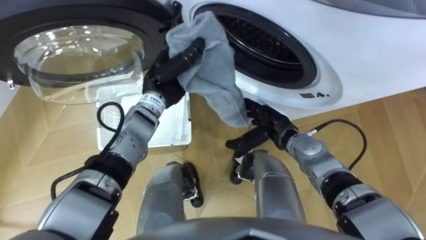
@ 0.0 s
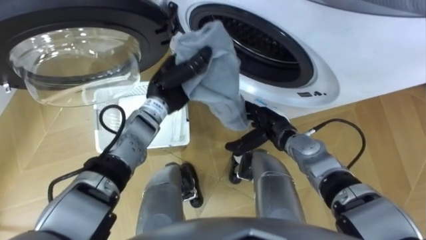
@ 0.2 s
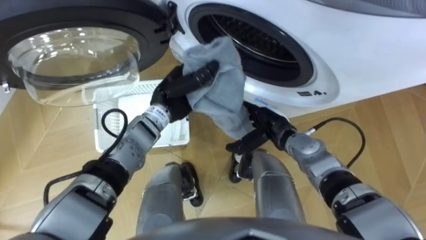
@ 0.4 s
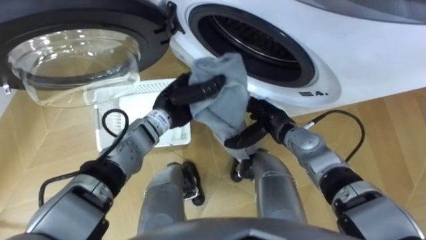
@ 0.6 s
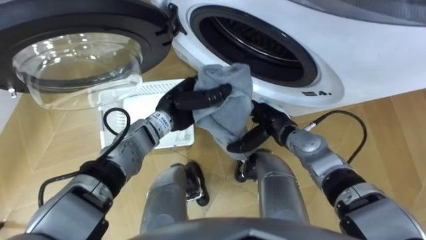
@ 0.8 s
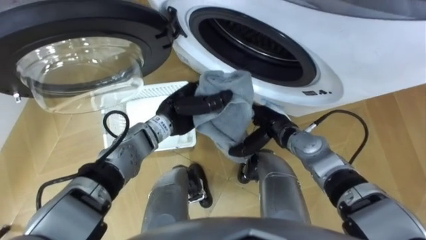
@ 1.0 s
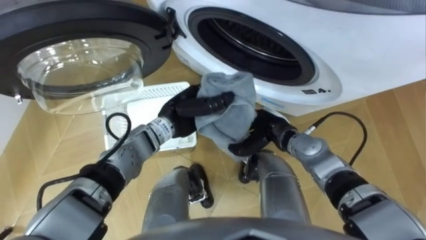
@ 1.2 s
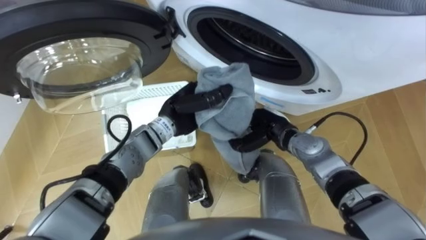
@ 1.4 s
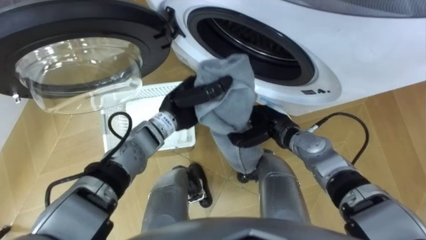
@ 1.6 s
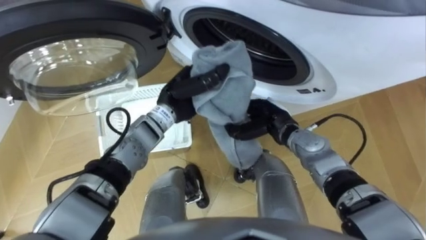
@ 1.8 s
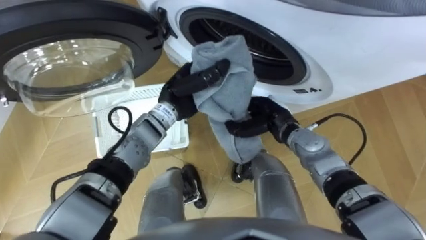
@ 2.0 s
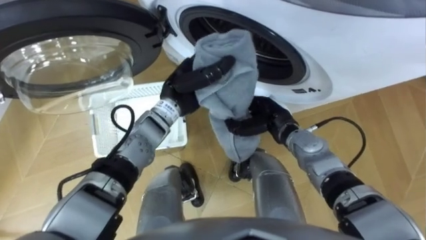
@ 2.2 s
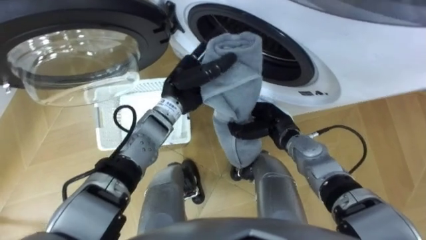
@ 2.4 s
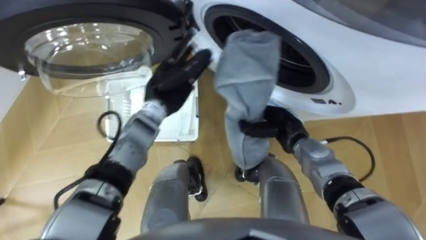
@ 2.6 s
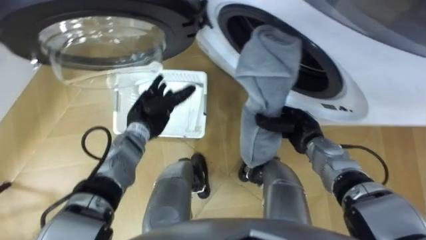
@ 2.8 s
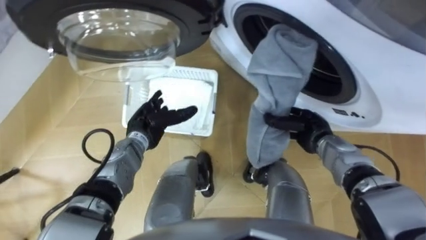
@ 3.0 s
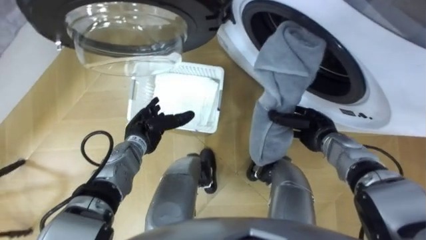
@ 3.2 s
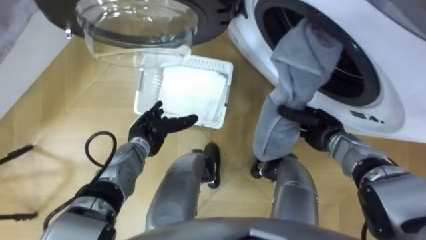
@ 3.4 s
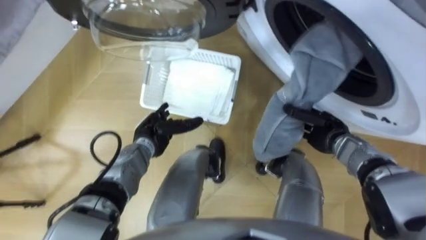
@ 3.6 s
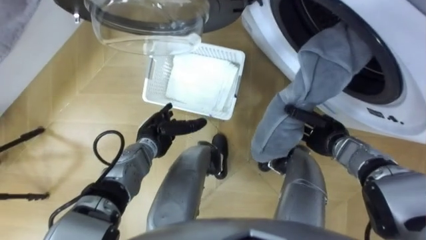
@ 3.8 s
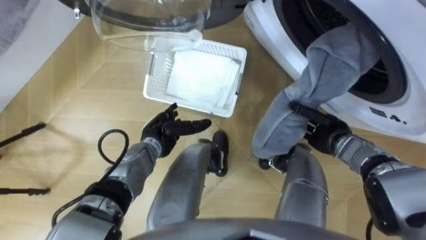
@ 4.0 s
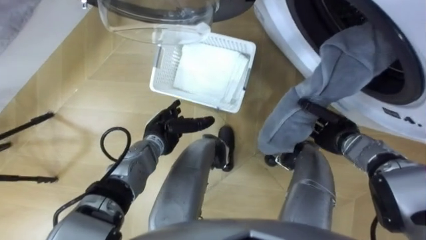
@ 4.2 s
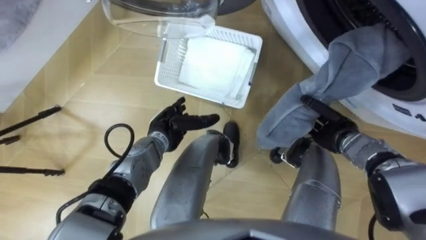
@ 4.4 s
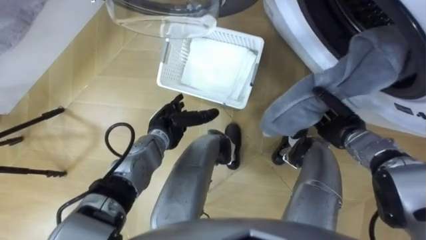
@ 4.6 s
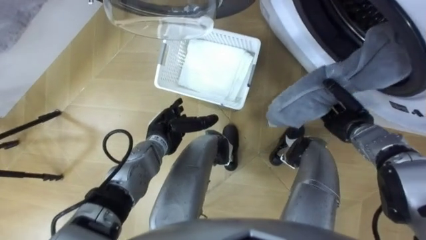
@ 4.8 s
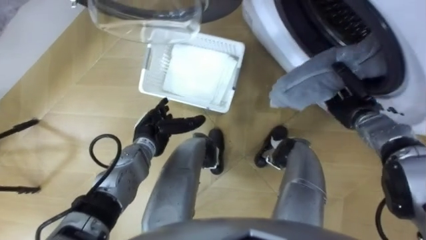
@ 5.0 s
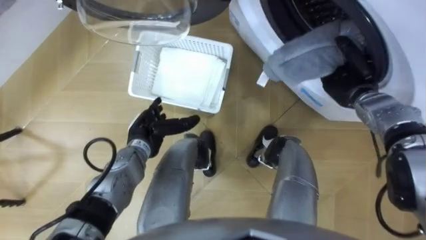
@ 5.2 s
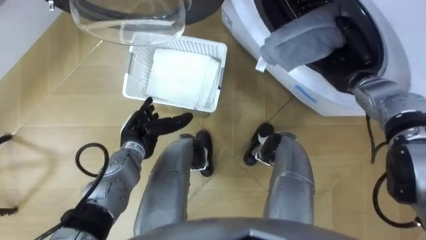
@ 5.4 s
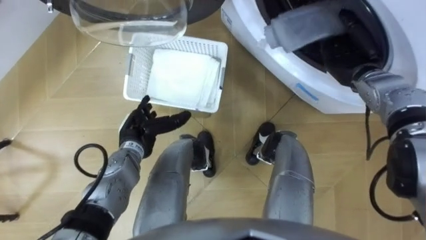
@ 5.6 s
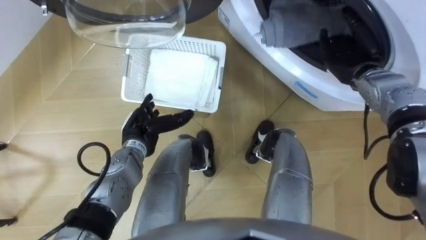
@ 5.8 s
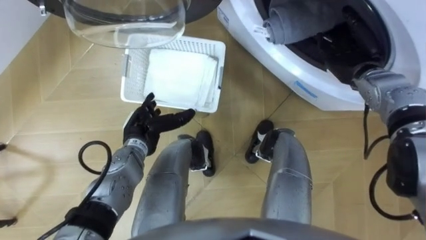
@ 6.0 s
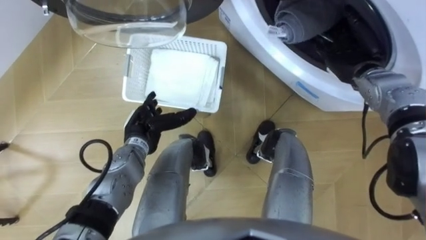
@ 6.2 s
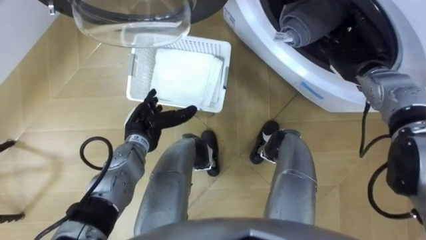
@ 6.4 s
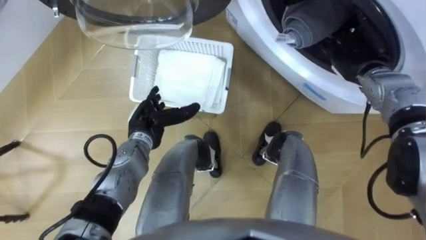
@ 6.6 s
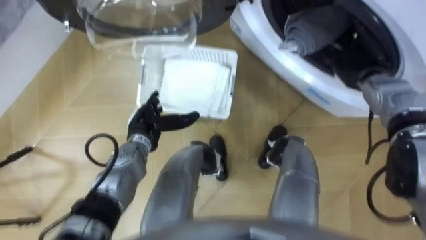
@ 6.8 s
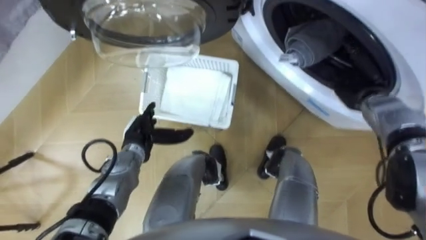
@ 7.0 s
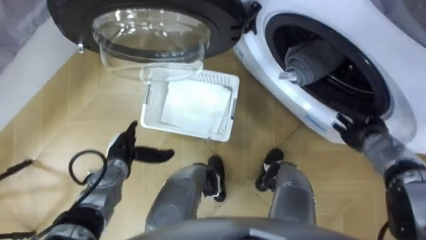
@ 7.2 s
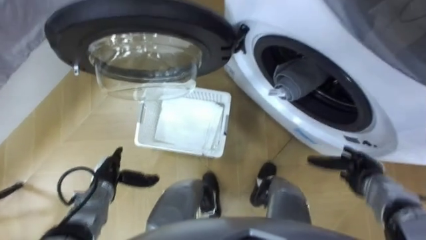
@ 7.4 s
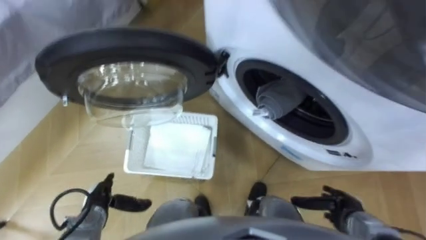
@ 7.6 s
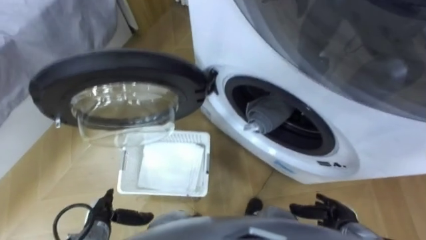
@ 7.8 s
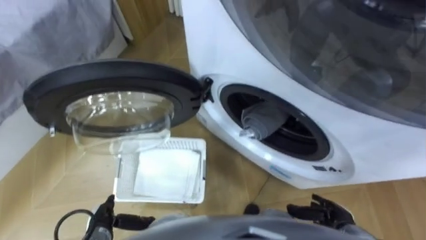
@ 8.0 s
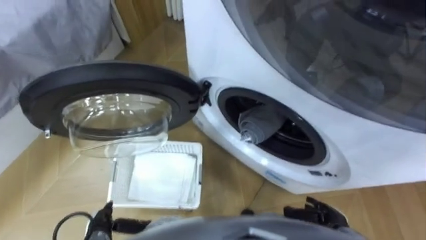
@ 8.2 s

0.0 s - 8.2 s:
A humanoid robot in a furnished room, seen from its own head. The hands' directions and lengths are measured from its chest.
Task of the whole recording: Take the towel from the basket and put it into the washing machine.
0.0 s - 1.6 s: The left hand moves approximately 5 cm. The right hand closes.
1.6 s - 3.2 s: The left hand shifts approximately 15 cm to the left and downward, and opens its fingers, while the right hand goes some 10 cm to the right.
3.2 s - 5.0 s: The right hand moves to the right, some 10 cm.
5.0 s - 6.6 s: The right hand moves upward and forward, some 10 cm, and opens up.
6.6 s - 8.2 s: The left hand goes roughly 25 cm backward, downward and to the left, while the right hand is displaced backward and downward by some 35 cm.

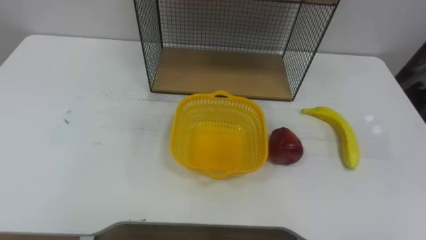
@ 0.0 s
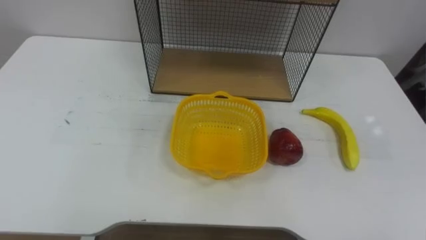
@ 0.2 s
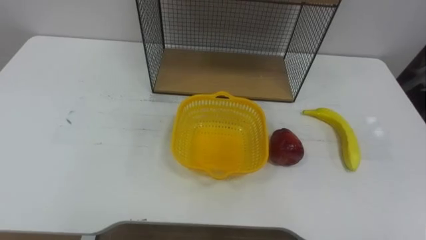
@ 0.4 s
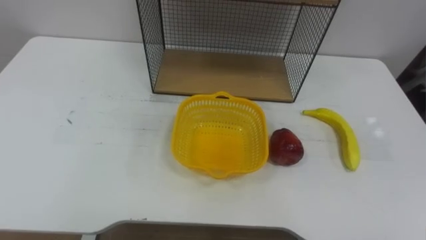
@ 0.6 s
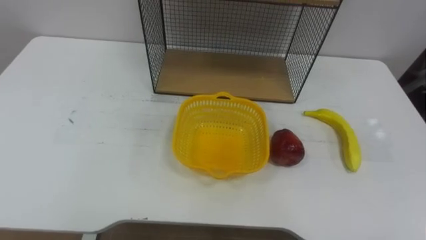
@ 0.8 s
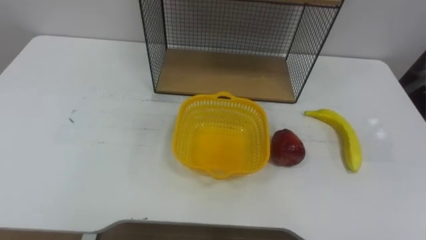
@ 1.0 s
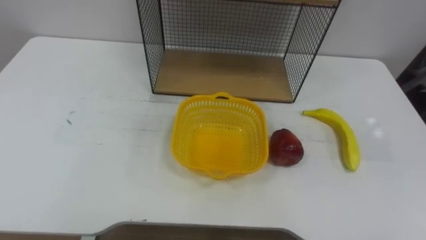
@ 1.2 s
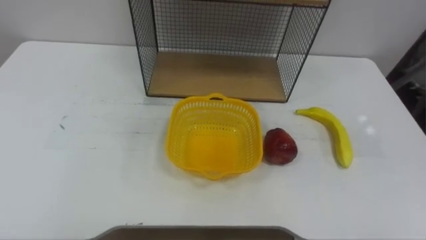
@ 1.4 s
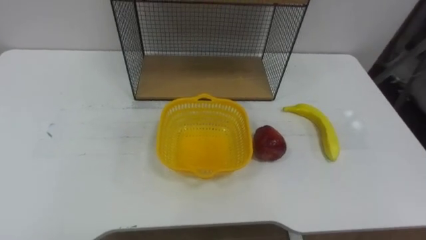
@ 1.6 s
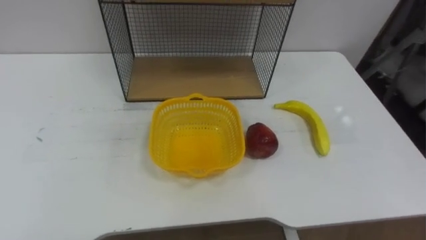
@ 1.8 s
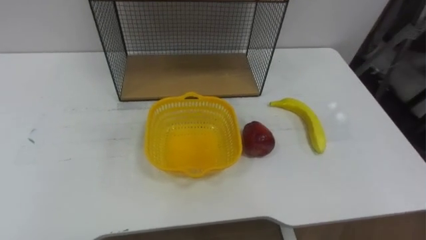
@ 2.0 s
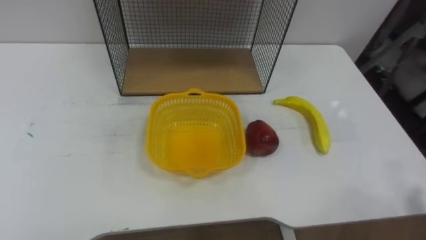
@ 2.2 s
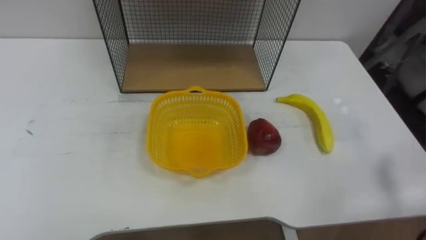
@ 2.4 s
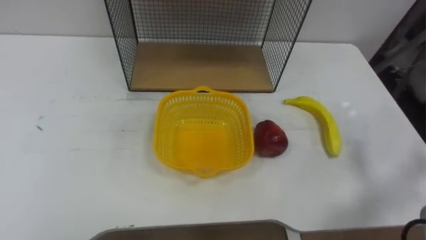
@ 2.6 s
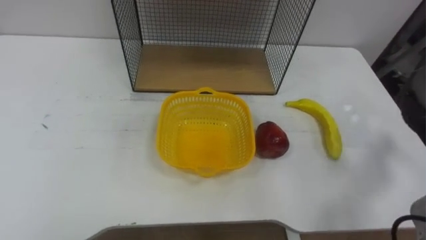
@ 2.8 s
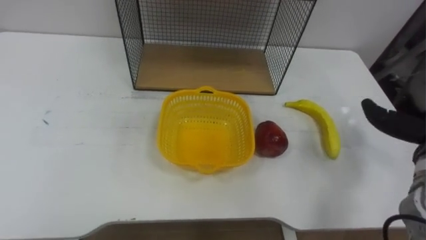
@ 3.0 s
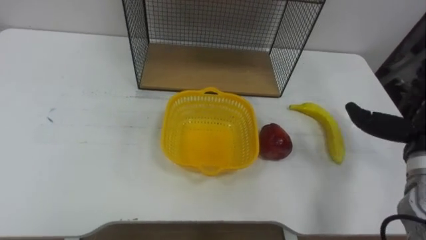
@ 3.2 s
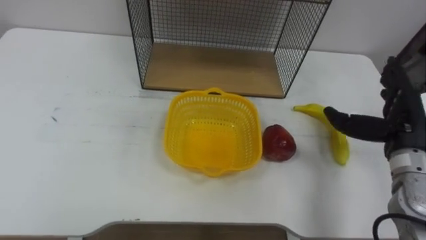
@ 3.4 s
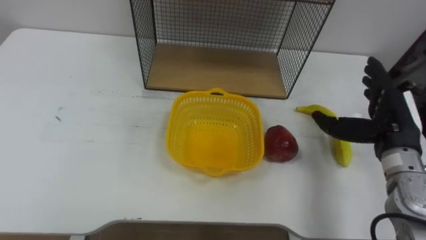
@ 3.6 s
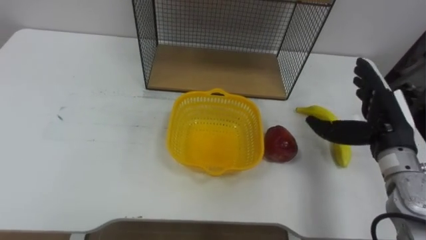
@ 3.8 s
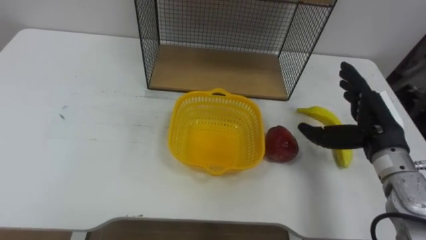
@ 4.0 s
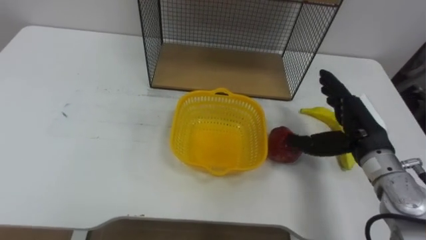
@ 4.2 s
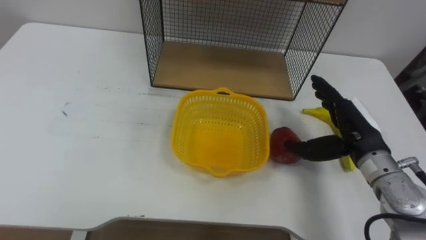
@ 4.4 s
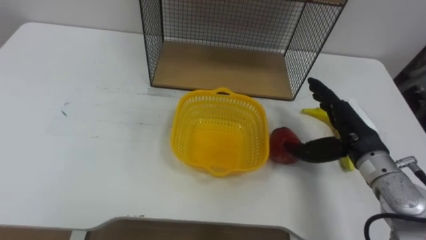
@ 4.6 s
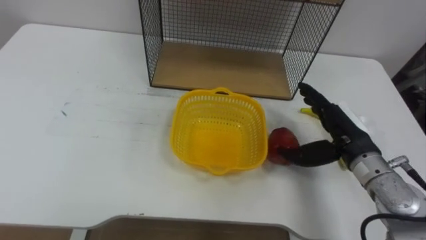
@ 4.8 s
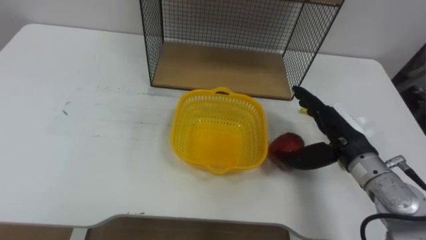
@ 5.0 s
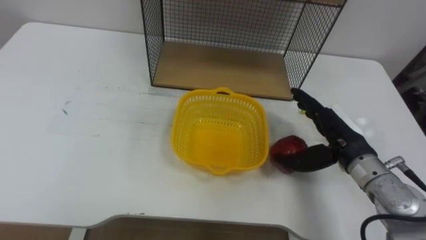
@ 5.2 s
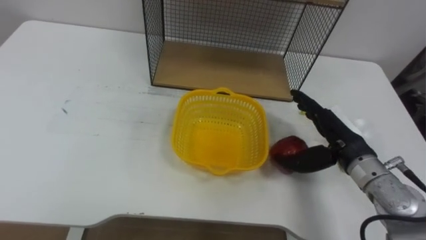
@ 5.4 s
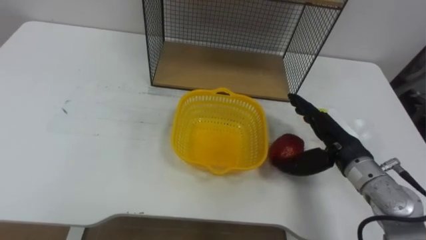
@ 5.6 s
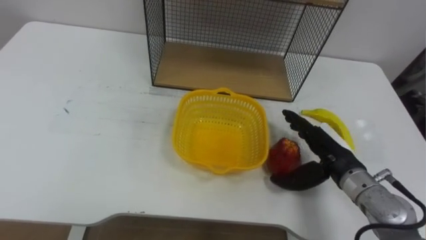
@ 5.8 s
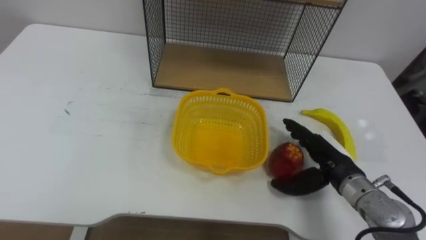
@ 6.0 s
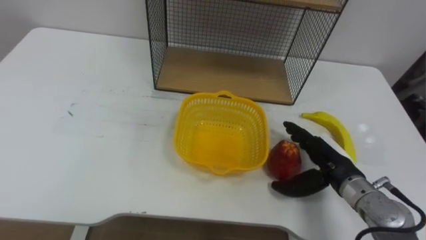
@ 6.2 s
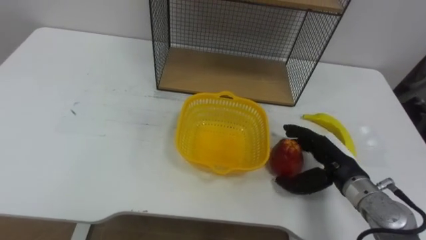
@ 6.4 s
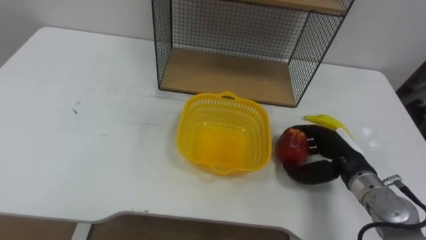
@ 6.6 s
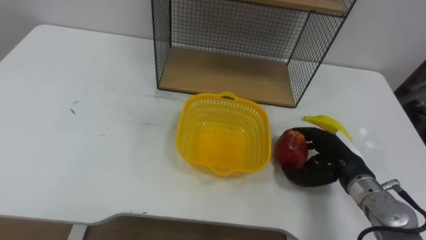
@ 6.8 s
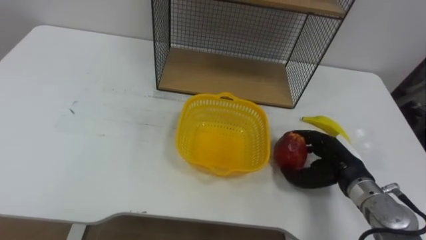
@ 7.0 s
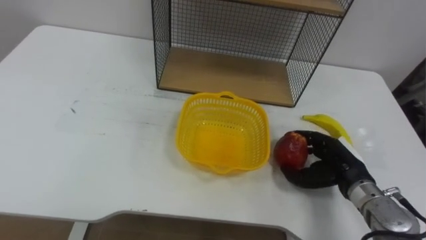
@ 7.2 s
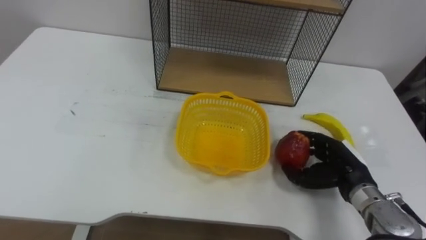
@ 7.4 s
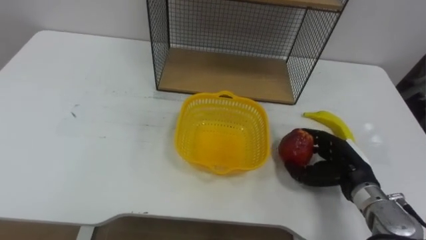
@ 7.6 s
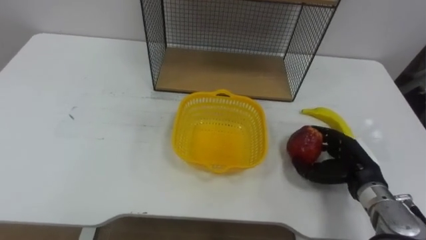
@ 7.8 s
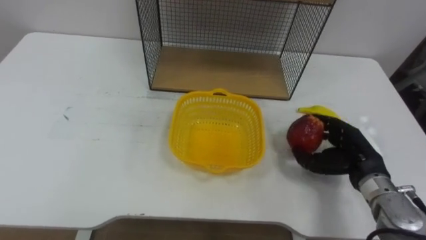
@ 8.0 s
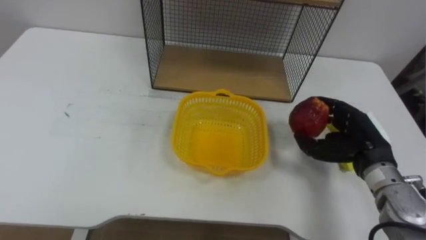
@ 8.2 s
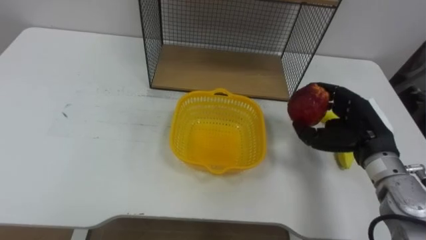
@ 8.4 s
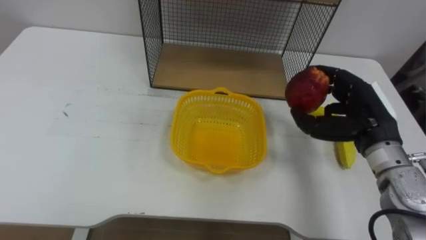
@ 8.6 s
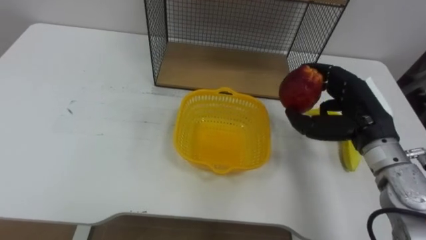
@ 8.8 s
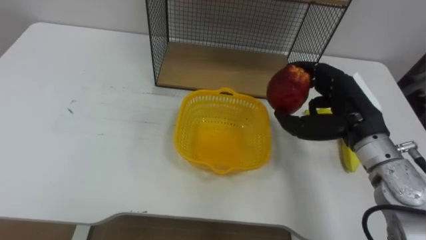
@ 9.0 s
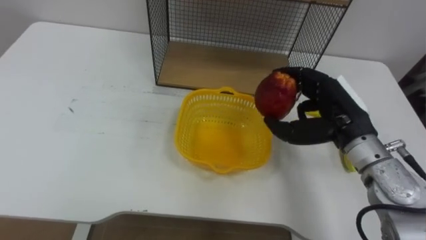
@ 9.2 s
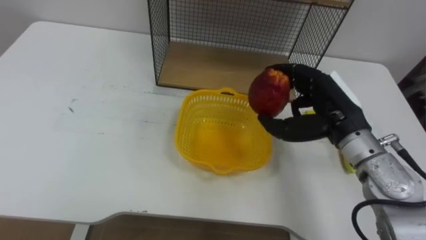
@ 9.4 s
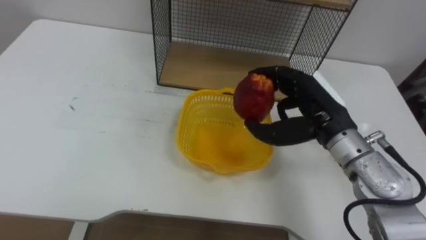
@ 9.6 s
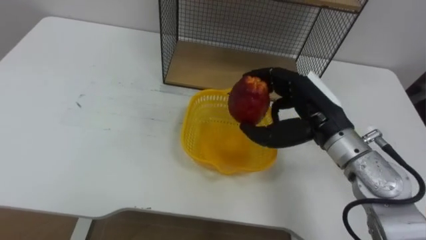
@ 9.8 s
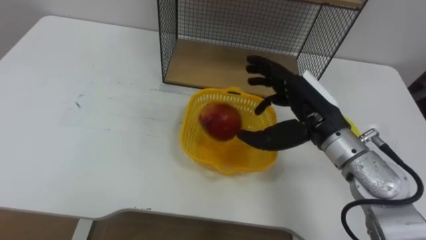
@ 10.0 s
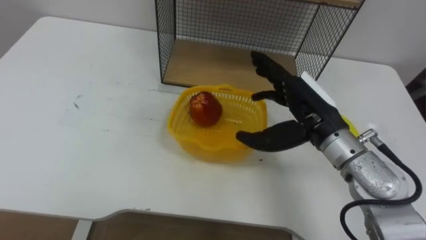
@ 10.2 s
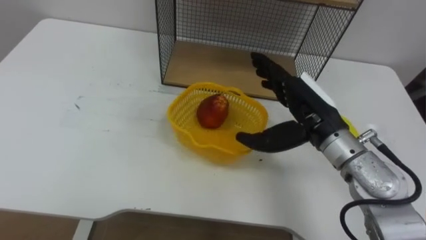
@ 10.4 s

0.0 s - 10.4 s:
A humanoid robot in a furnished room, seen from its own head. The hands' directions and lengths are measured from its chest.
Task of the whole recording: Put the fruit on the table into the basket, then place the basket on the shelf.
4.4 s - 6.0 s: The right hand is displaced downward by about 5 cm.
6.0 s - 7.4 s: The right hand closes its fingers.
7.4 s - 9.0 s: The right hand travels upward by roughly 15 cm.
9.0 s - 10.4 s: The right hand moves to the left, roughly 5 cm, and opens up.
